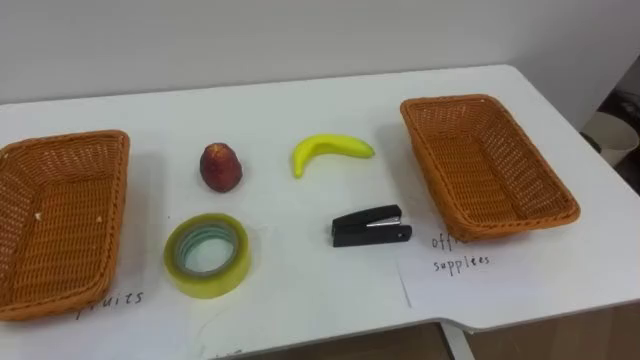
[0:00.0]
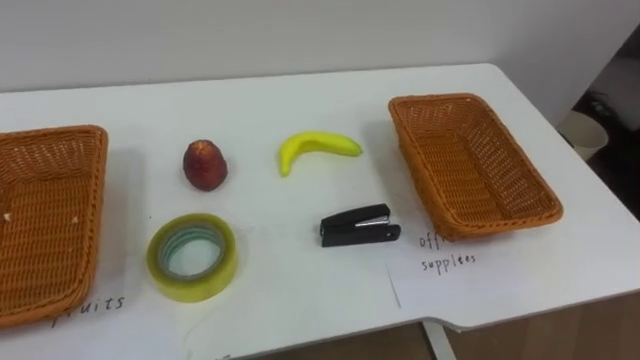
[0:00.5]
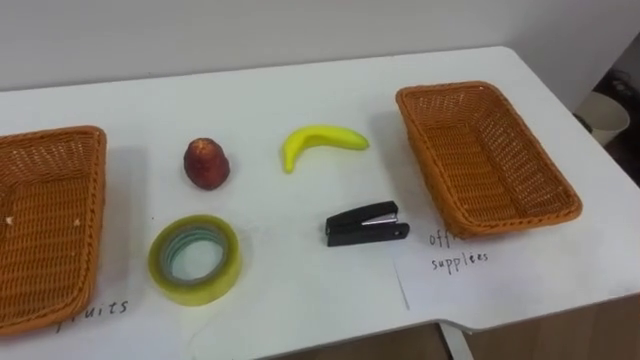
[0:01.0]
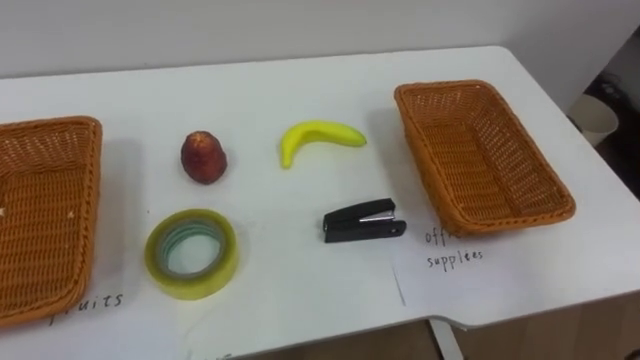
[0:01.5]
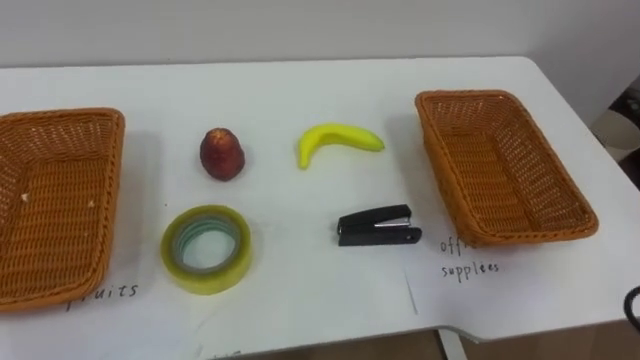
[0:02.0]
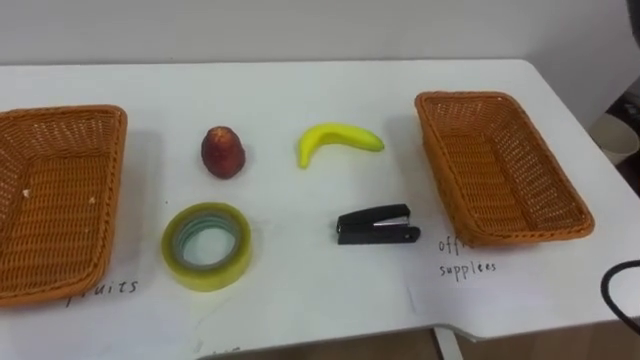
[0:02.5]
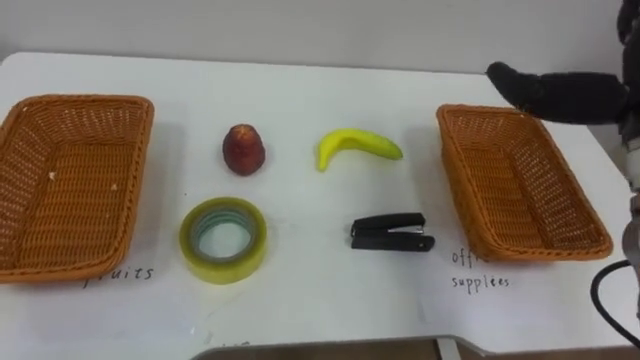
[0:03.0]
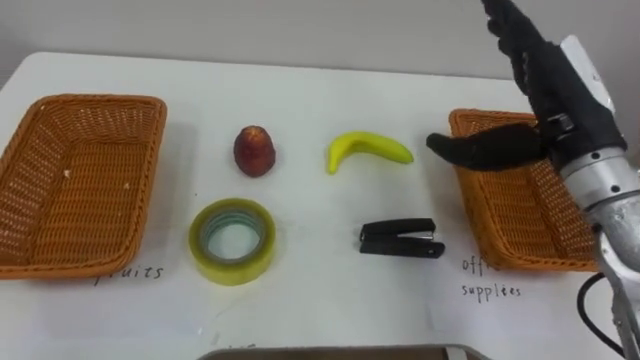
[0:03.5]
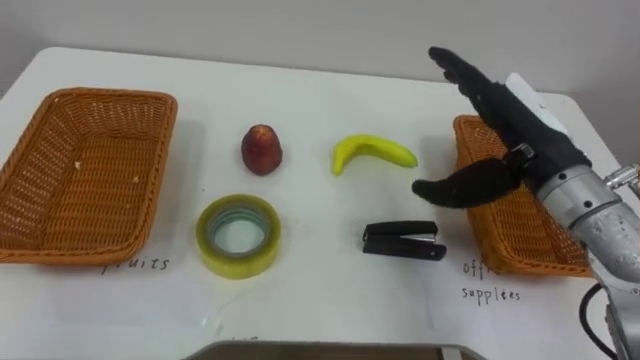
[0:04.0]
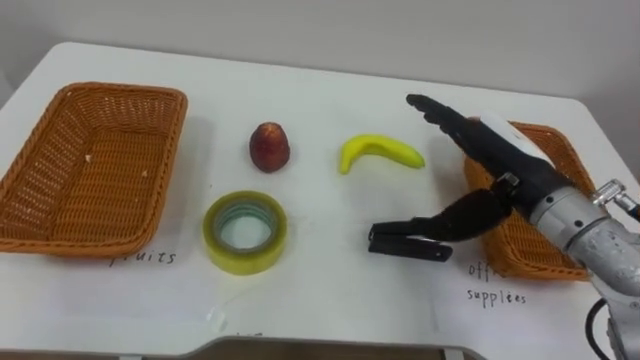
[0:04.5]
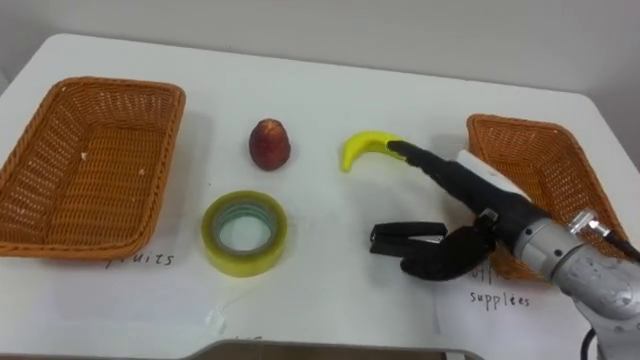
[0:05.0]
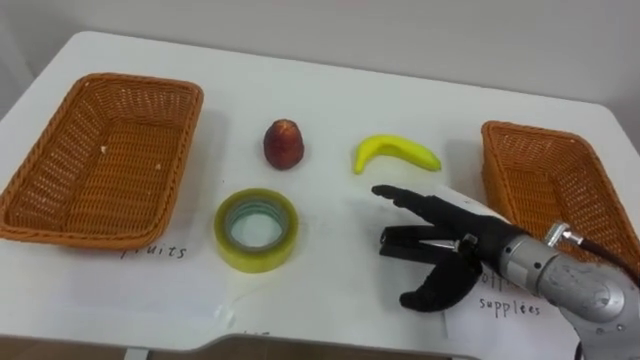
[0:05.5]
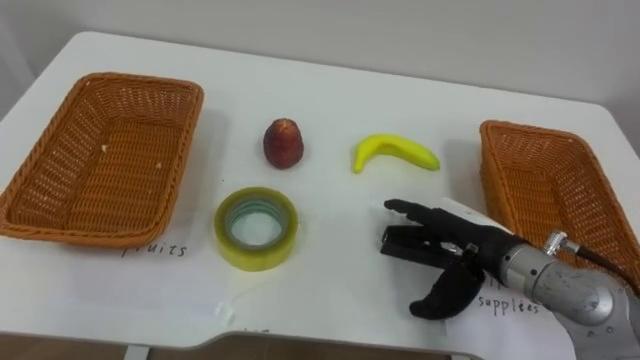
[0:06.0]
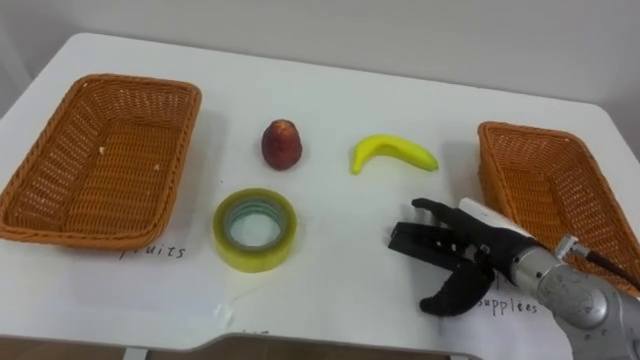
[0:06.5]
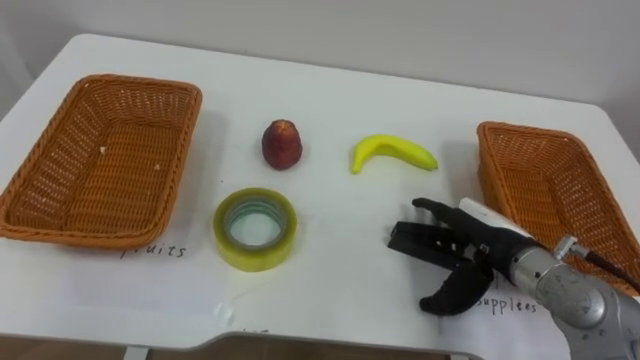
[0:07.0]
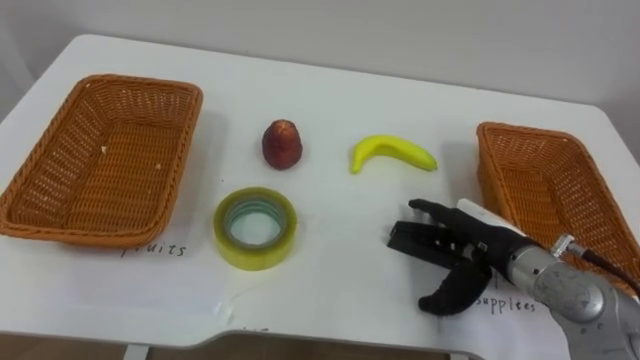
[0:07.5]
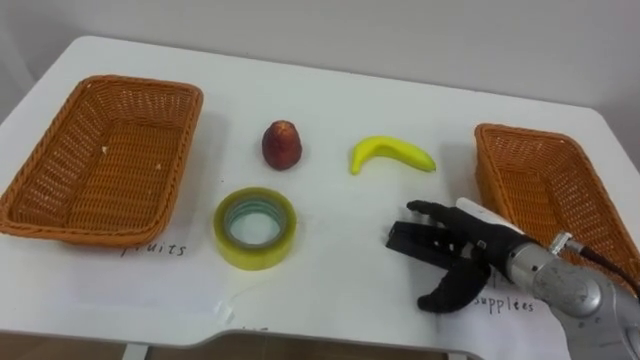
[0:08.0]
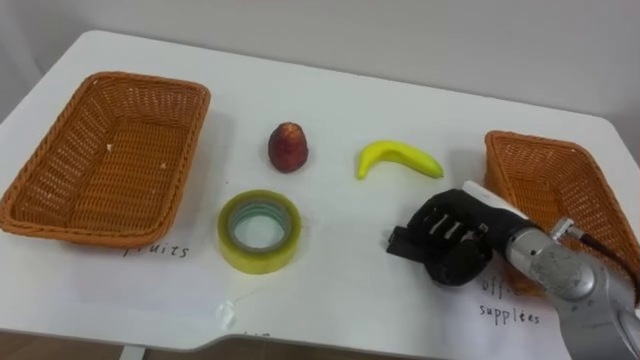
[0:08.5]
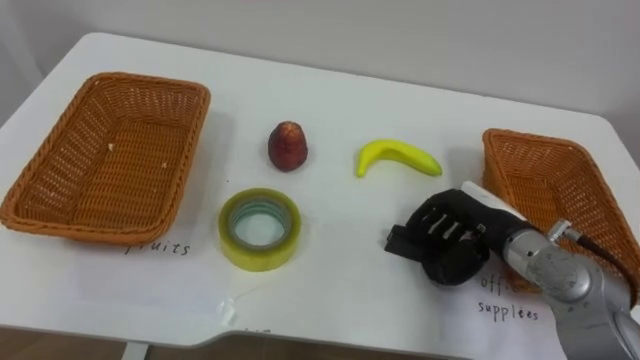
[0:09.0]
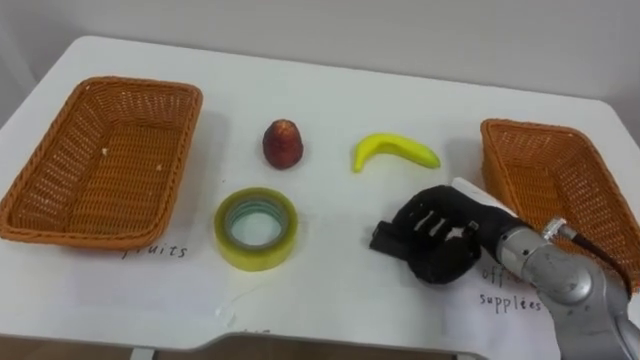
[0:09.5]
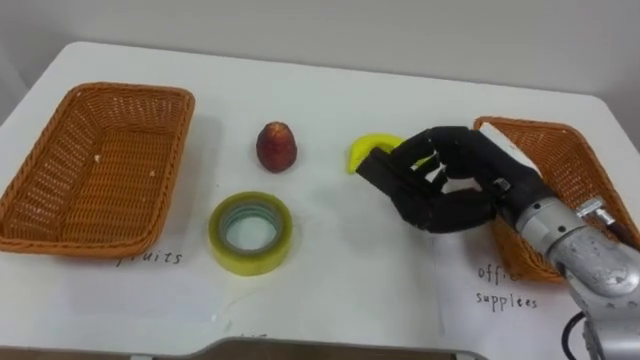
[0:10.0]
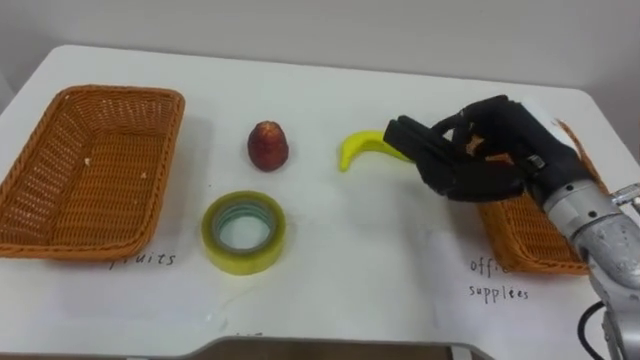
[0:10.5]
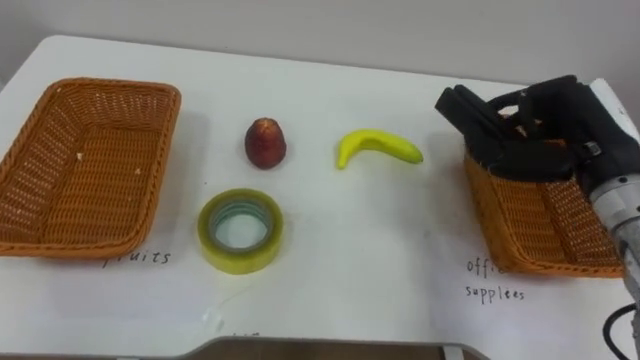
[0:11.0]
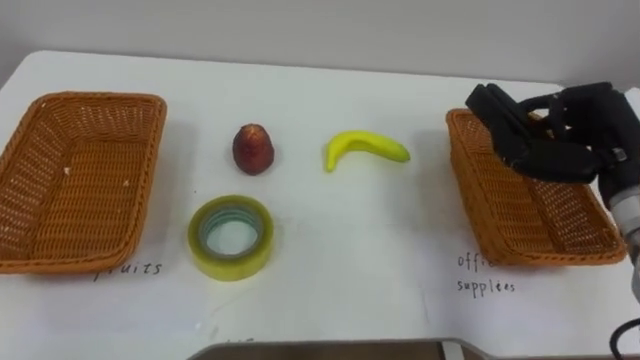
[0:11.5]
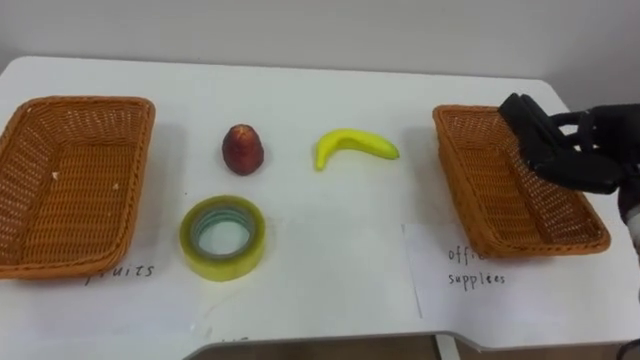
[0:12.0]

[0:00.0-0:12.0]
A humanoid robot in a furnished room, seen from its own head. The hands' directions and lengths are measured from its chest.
Task of the whole recording: Separate the items on the table and place them into the two baskets.
0:04.0 to 0:06.0: The right hand is displaced downward by some 10 cm.
0:08.0 to 0:10.0: The right hand goes roughly 10 cm upward, and closes up.
0:10.0 to 0:12.0: The right hand is displaced to the right by some 15 cm.

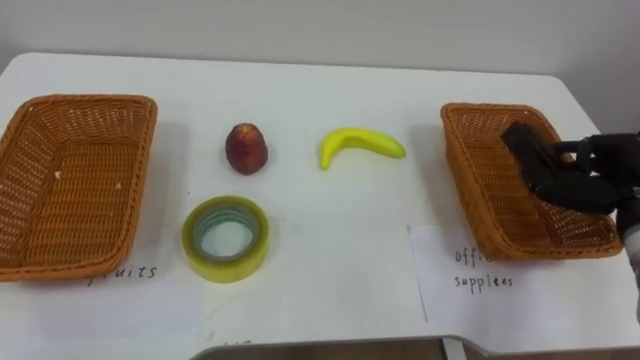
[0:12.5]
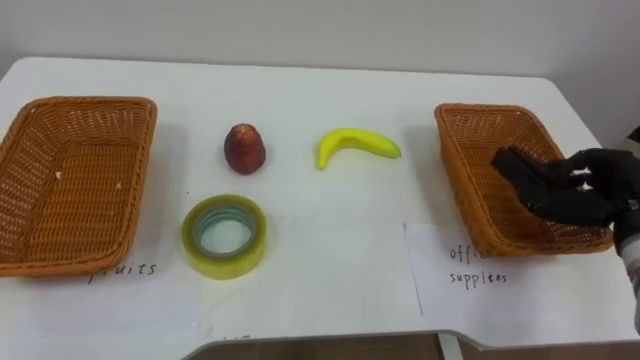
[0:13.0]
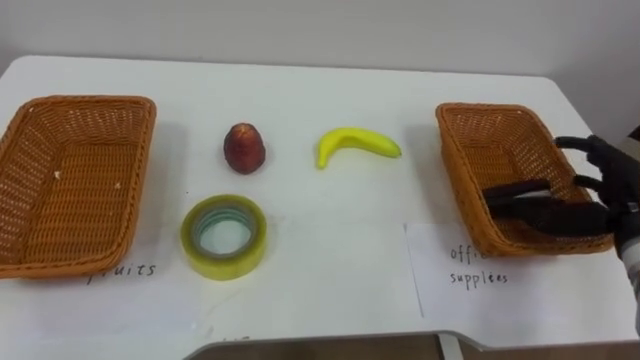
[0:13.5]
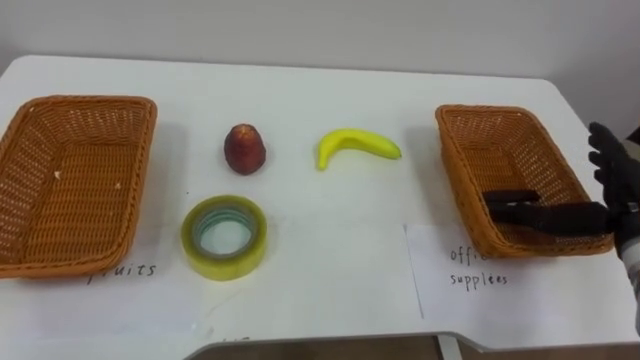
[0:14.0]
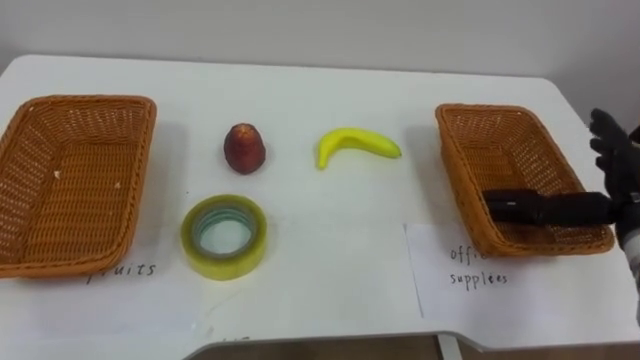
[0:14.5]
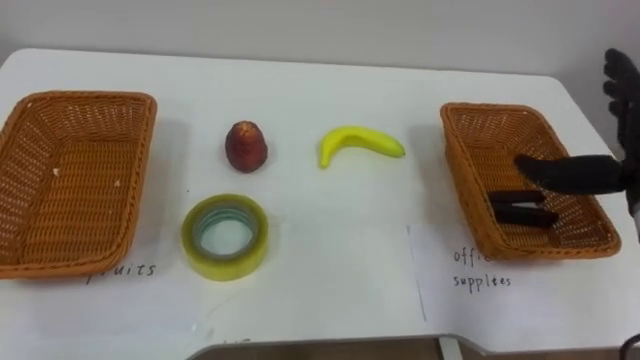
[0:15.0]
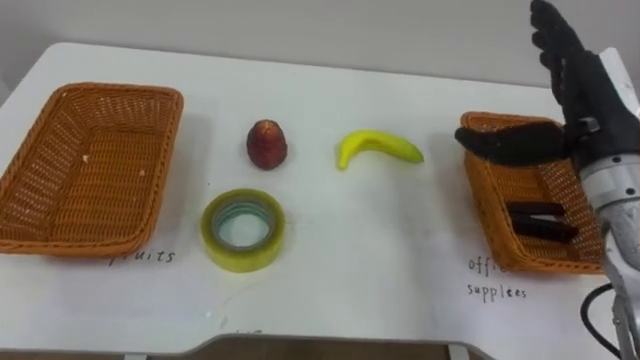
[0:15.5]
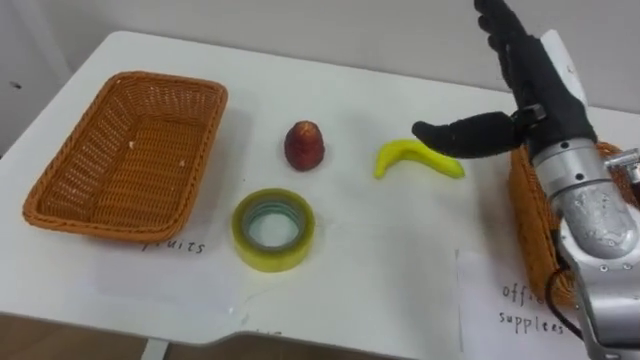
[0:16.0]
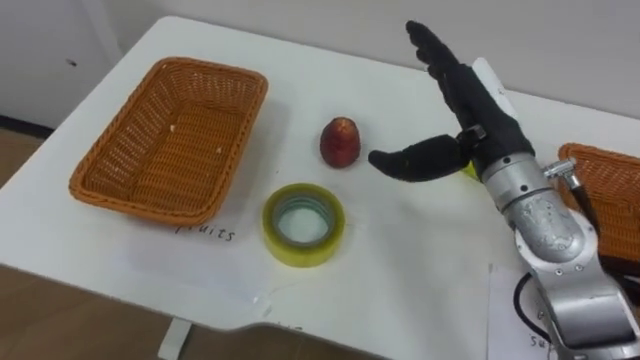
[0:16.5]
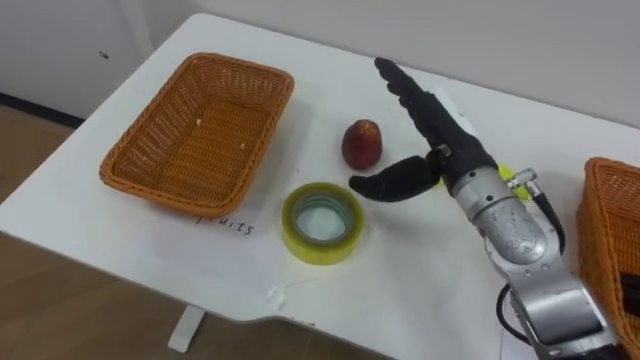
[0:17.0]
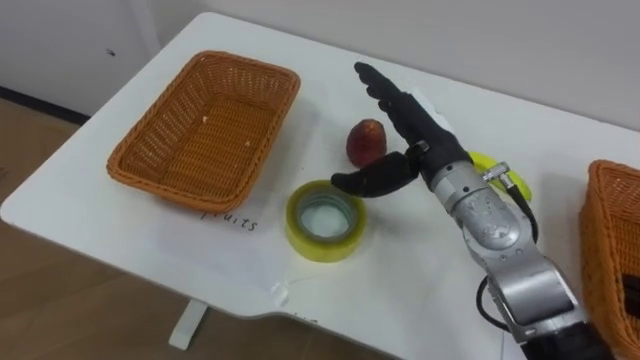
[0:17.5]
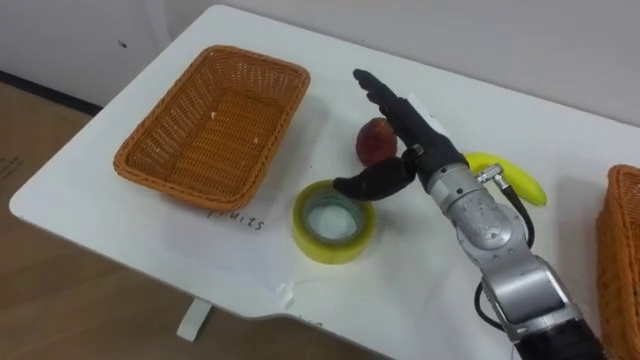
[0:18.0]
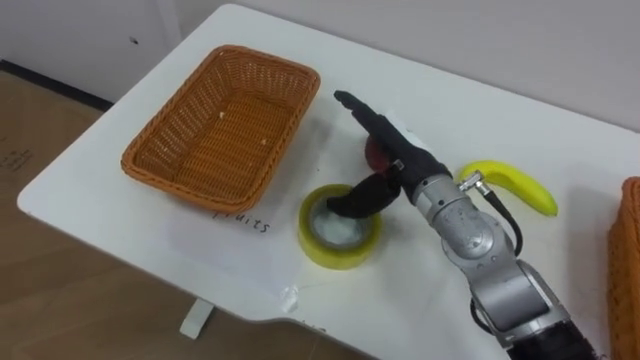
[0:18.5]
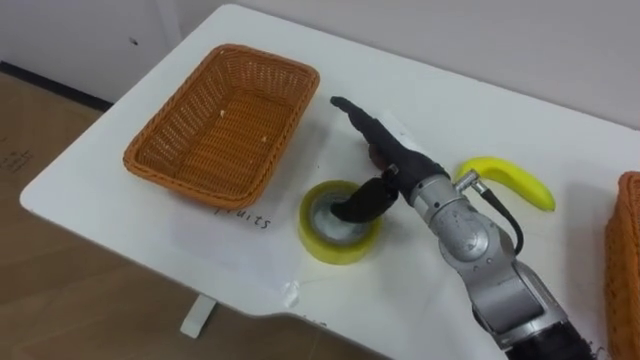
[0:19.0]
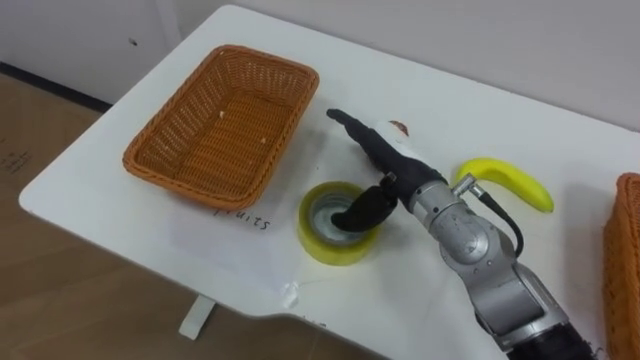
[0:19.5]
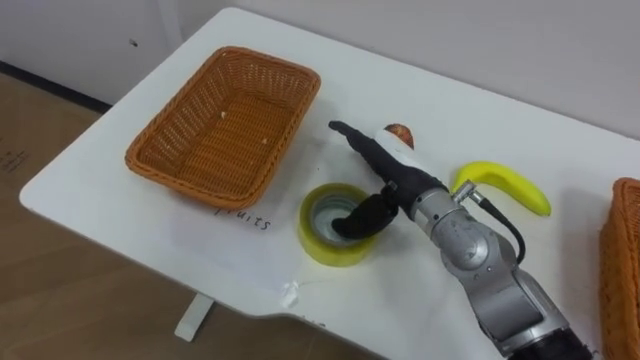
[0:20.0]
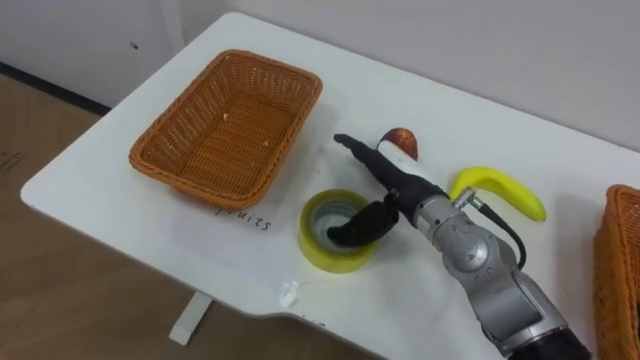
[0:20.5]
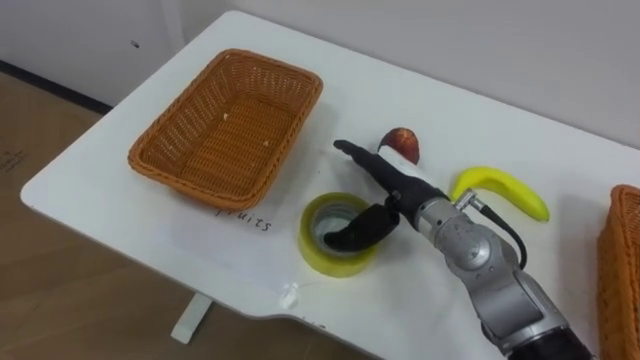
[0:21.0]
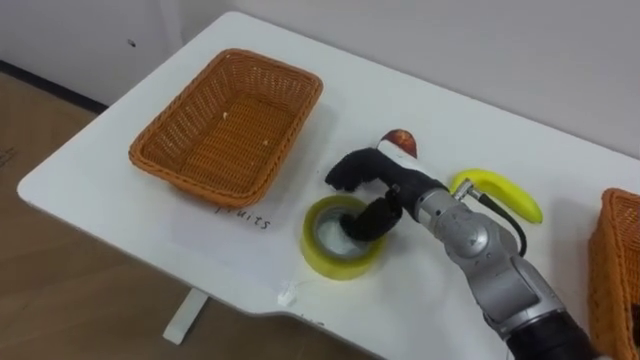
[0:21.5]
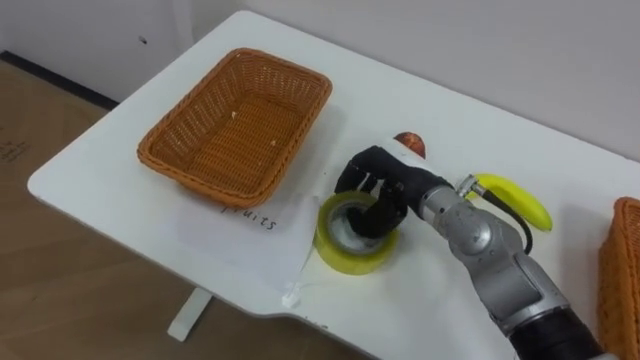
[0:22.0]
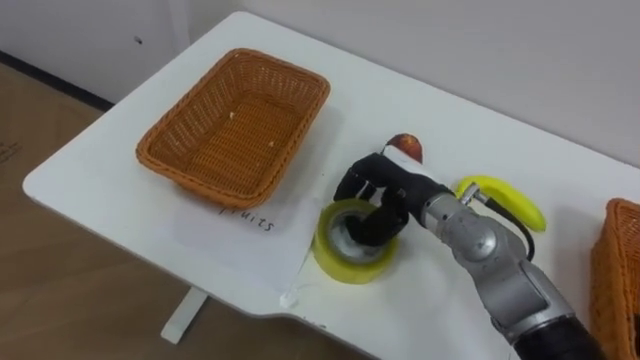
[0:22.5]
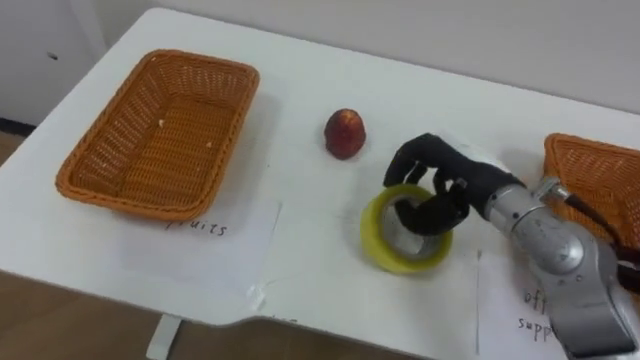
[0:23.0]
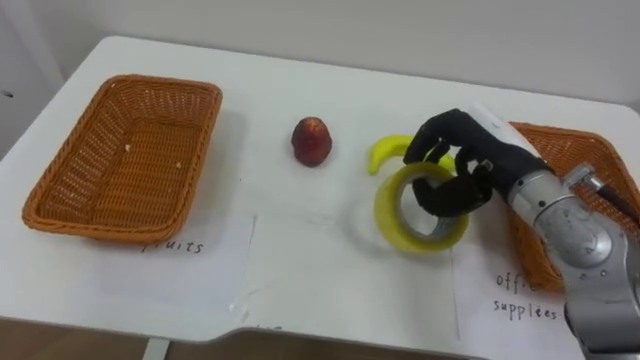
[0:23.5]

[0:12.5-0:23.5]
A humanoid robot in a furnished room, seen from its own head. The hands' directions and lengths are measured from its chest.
Task of the whole recording: Separate the items on the table and place them into the two baskets.
0:12.5 to 0:14.5: The right hand opens up.
0:14.5 to 0:16.0: The right hand goes some 20 cm to the left and upward.
0:16.0 to 0:18.0: The right hand moves to the left and downward, about 15 cm.
0:20.0 to 0:21.5: The right hand closes up.
0:21.5 to 0:23.5: The right hand shifts some 10 cm to the right and upward, and closes up.
